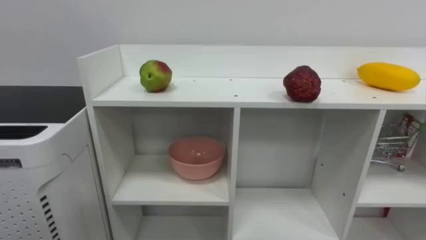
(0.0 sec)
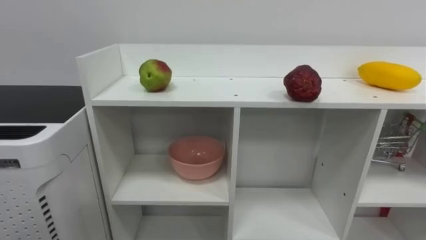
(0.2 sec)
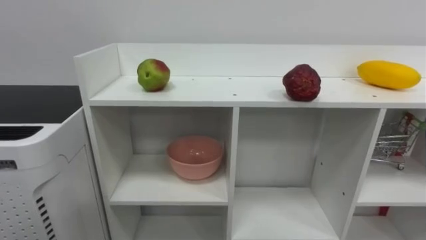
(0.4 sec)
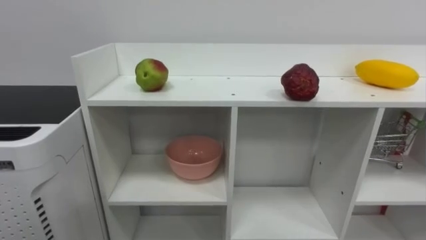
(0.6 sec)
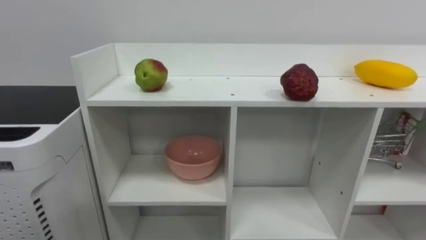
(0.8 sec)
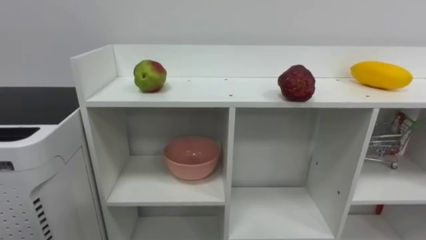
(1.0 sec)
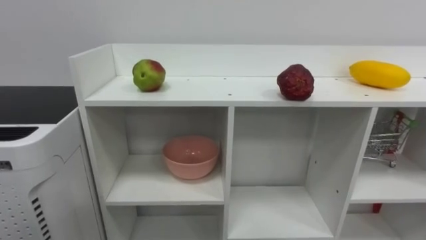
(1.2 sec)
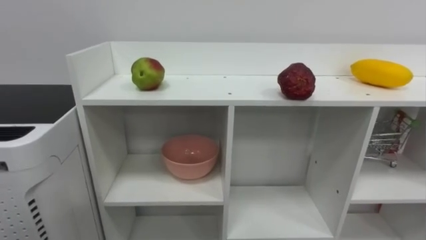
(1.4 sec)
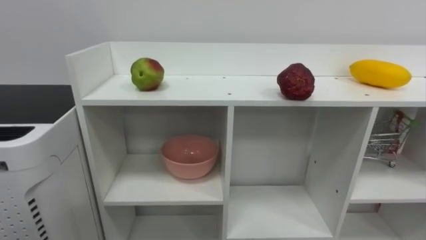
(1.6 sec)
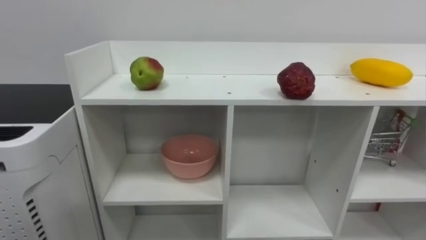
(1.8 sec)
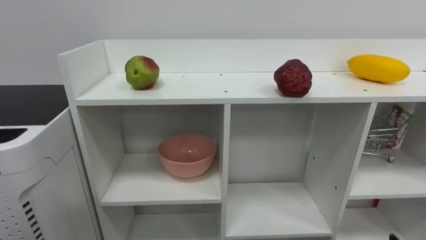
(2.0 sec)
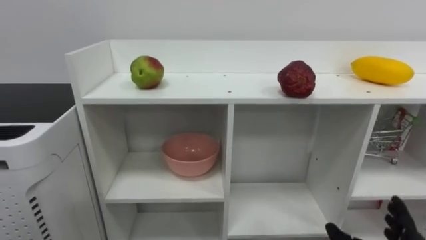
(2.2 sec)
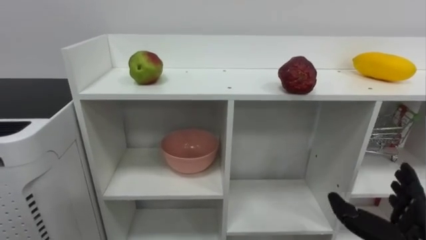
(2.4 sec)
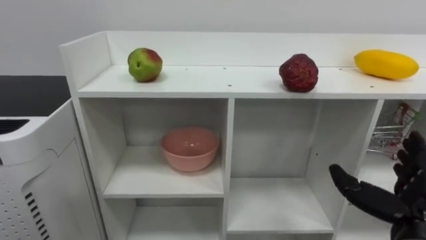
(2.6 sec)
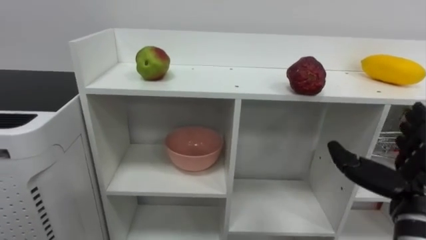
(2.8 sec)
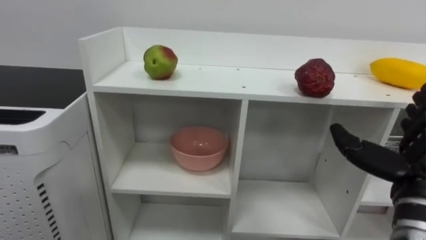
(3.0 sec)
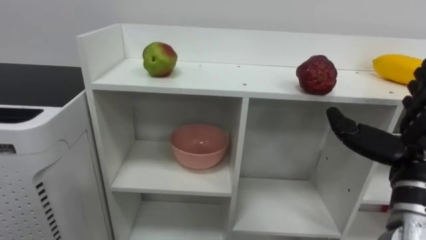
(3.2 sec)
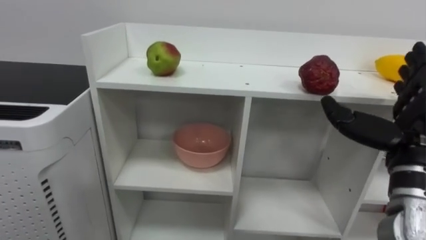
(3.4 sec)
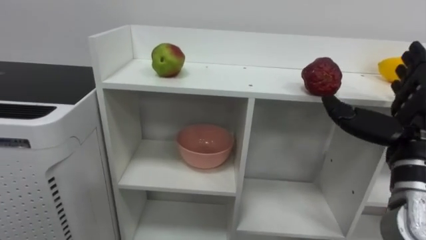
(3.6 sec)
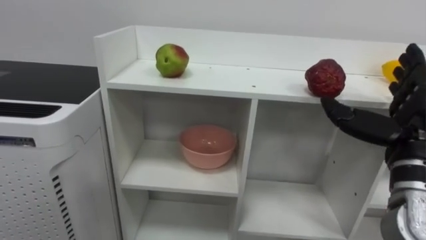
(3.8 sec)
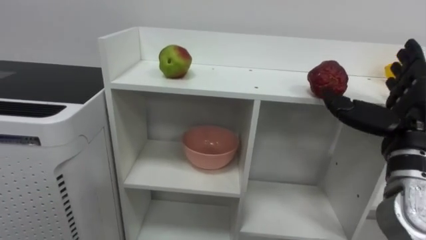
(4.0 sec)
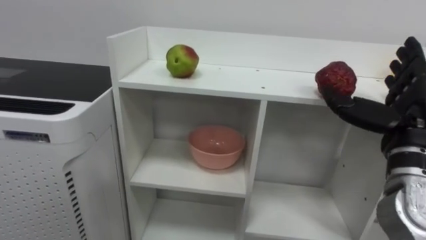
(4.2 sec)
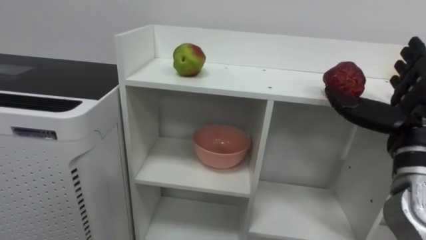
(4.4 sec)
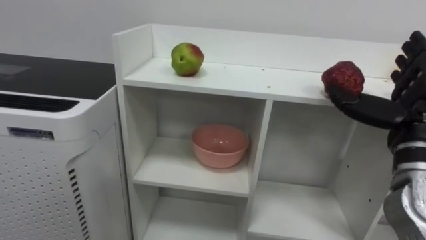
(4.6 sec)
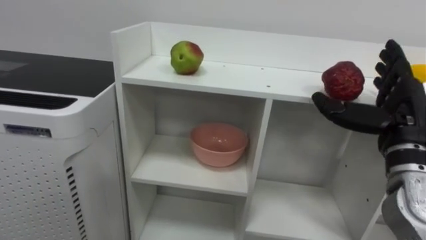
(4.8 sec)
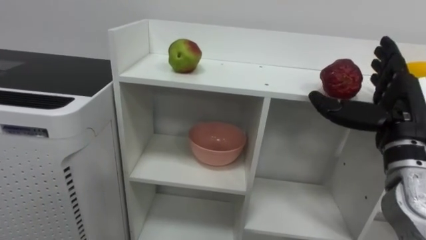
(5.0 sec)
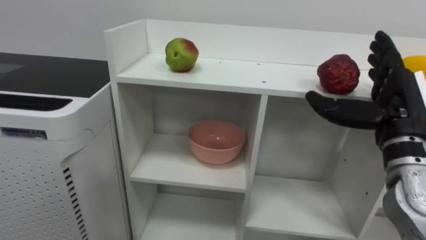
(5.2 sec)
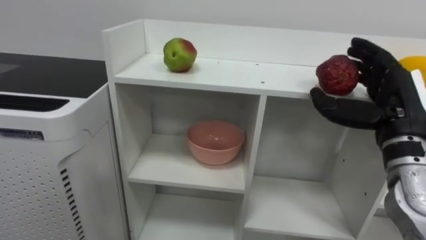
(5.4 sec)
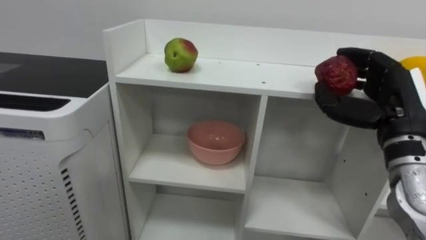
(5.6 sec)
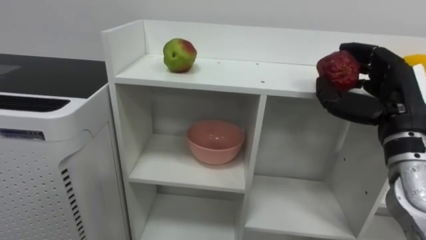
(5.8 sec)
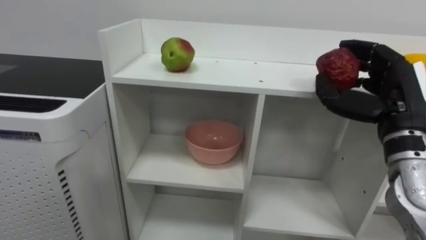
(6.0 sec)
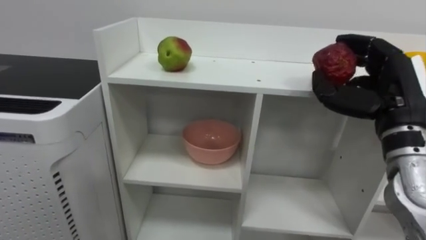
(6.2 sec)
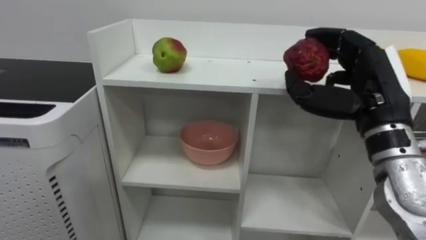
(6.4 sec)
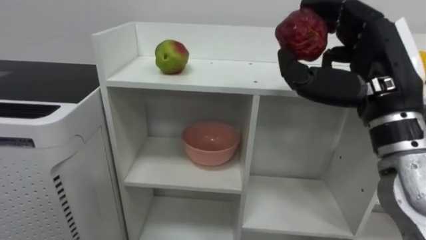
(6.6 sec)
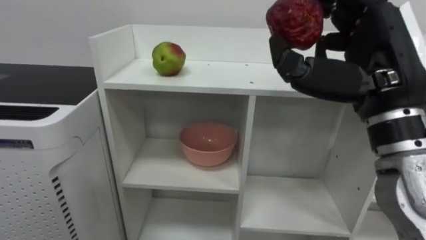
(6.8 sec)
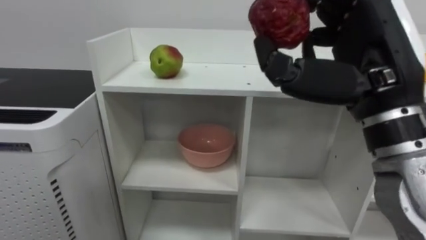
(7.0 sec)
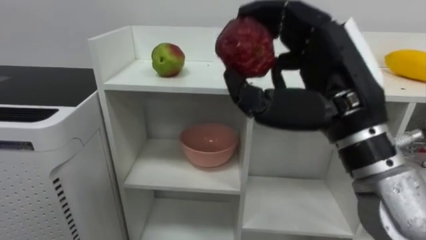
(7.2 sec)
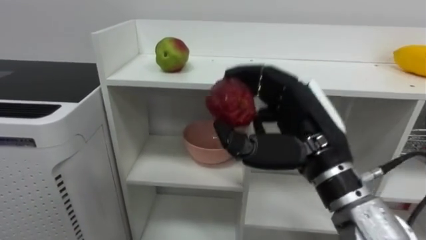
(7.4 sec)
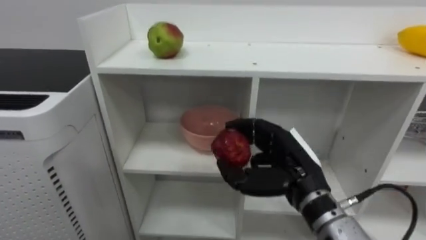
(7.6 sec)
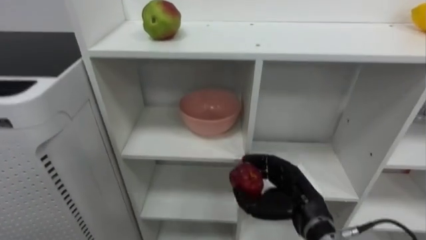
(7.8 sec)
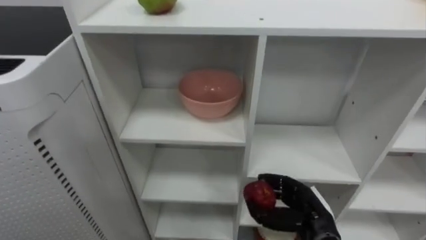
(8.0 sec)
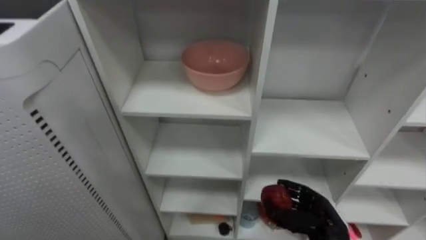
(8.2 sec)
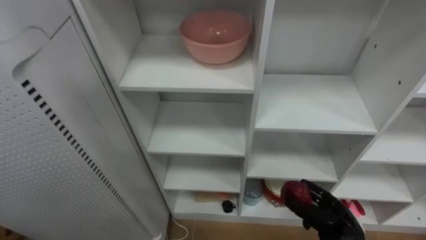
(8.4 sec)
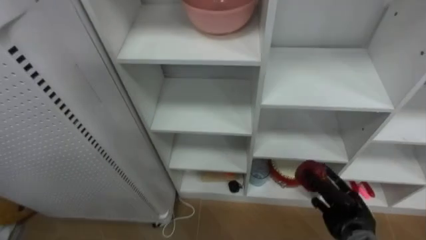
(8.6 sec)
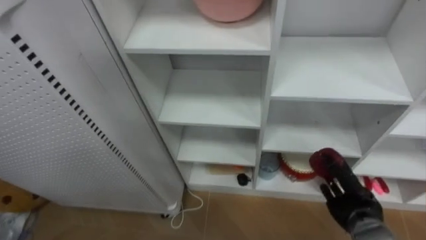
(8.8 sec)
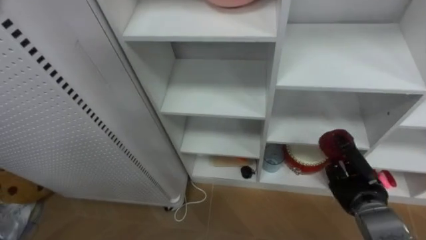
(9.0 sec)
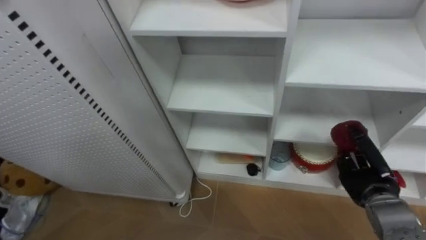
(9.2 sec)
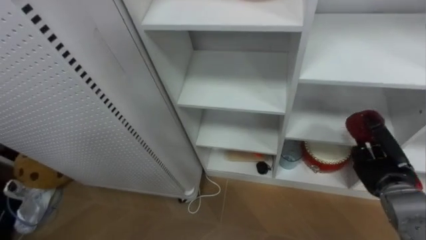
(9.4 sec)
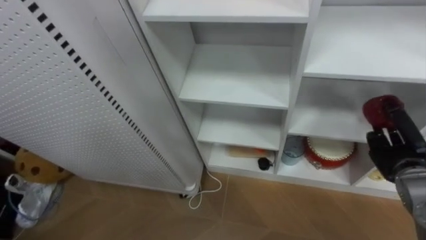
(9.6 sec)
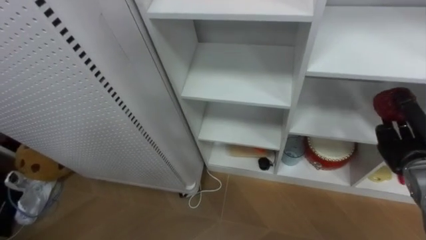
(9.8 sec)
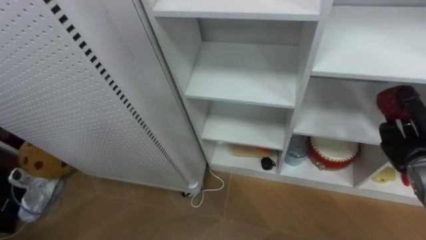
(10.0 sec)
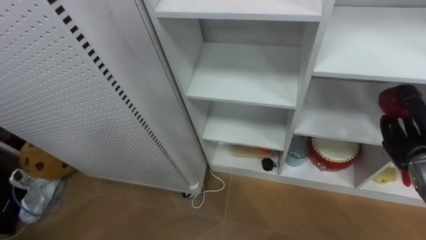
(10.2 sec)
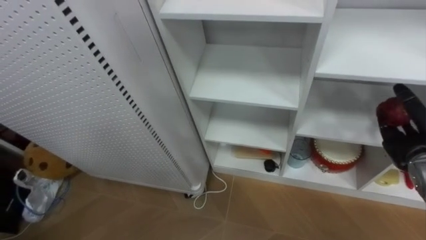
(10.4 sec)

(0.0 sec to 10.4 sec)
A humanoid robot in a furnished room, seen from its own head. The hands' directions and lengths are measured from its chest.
Task of the whole recording: Put the apple in the cell in the second column from the left and the second row from the top.
3.0 sec - 4.4 sec: The right hand goes roughly 5 cm upward.
4.4 sec - 6.0 sec: The right hand closes.
6.0 sec - 7.4 sec: The right hand travels to the left and backward by about 15 cm.
7.4 sec - 9.0 sec: The right hand heads downward, to the right and forward, covering about 25 cm.
9.0 sec - 10.4 sec: The right hand travels upward and to the right by some 15 cm, and opens its fingers.

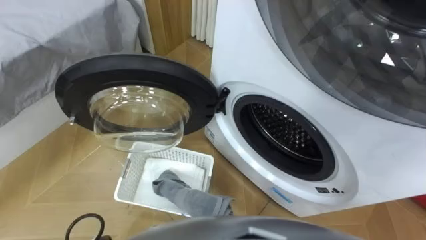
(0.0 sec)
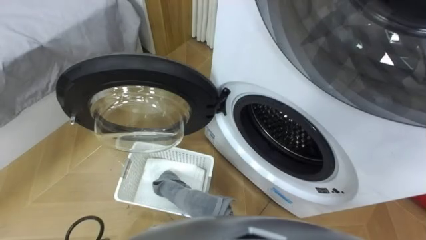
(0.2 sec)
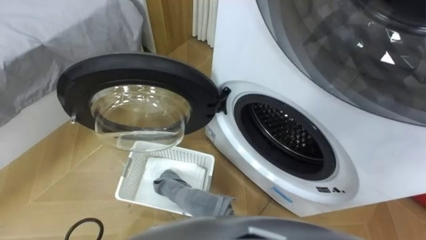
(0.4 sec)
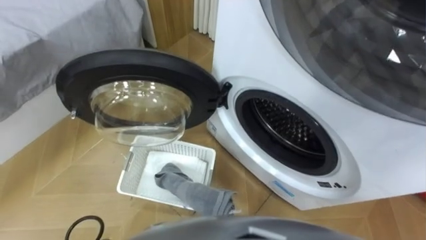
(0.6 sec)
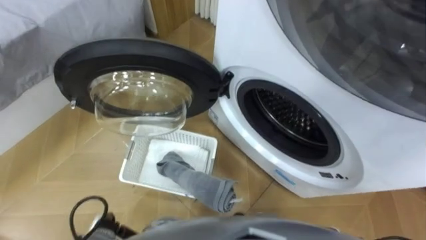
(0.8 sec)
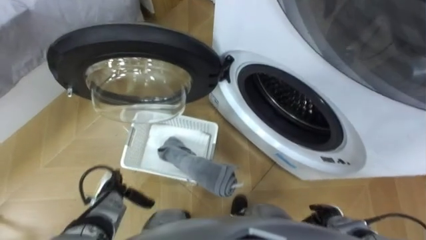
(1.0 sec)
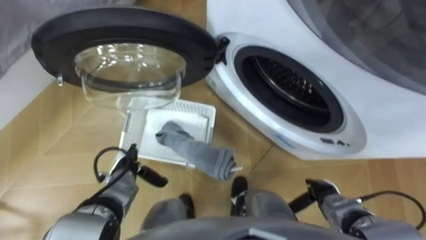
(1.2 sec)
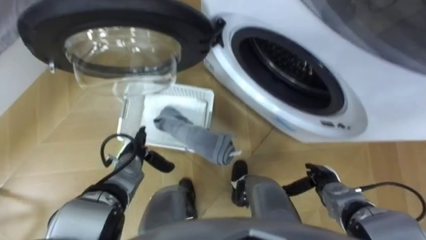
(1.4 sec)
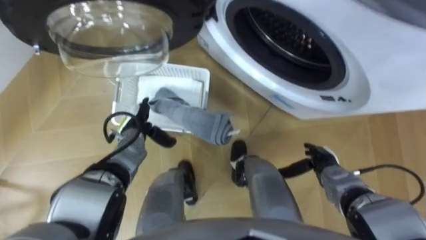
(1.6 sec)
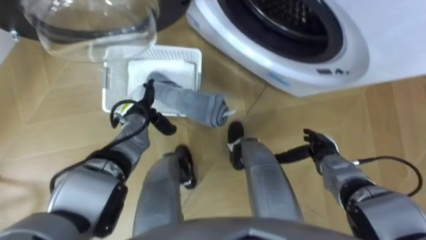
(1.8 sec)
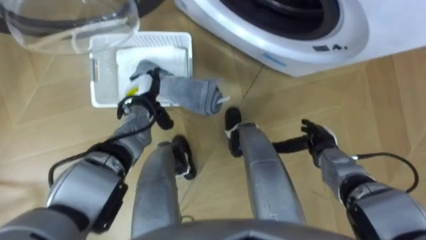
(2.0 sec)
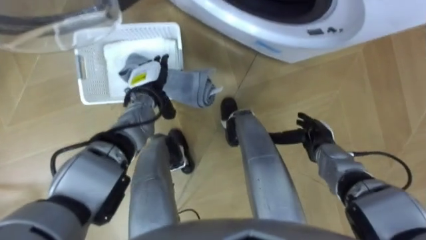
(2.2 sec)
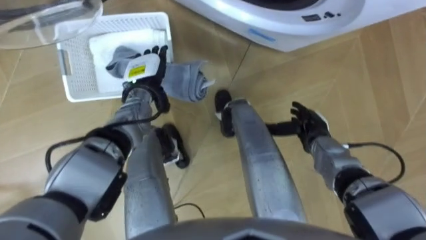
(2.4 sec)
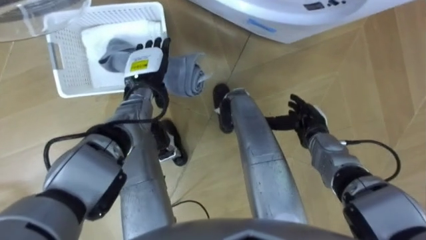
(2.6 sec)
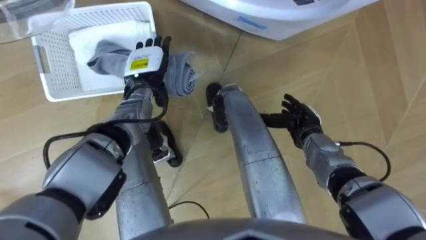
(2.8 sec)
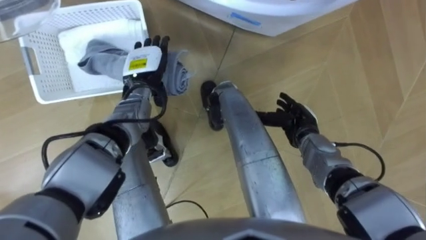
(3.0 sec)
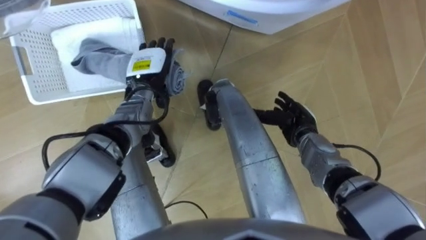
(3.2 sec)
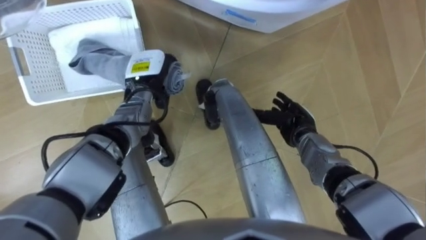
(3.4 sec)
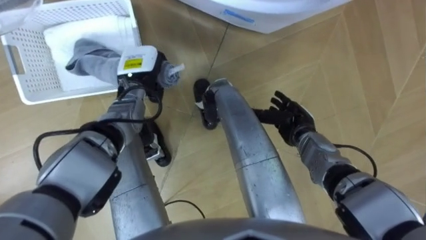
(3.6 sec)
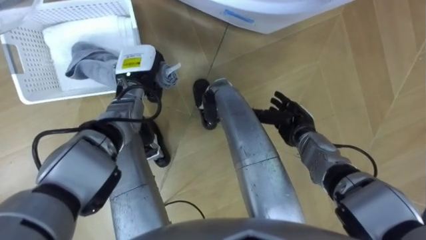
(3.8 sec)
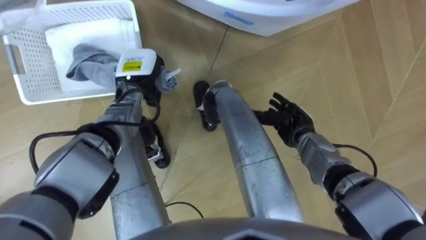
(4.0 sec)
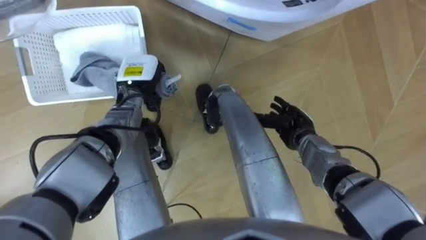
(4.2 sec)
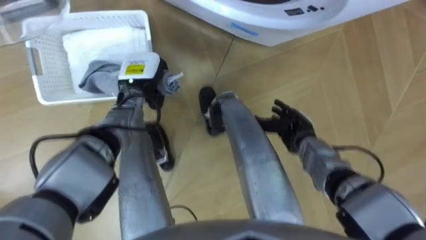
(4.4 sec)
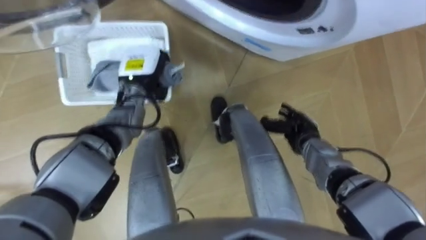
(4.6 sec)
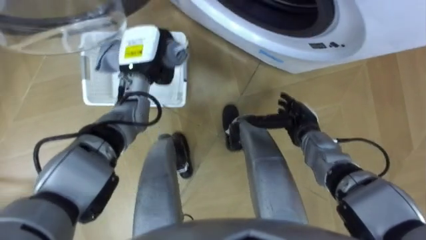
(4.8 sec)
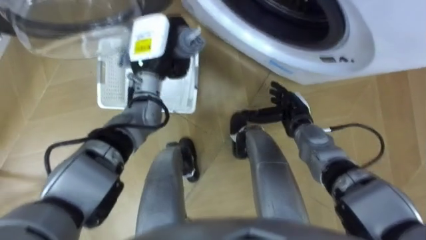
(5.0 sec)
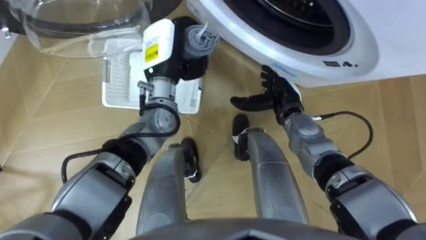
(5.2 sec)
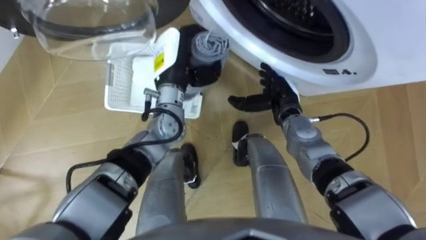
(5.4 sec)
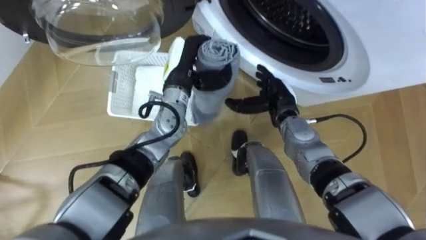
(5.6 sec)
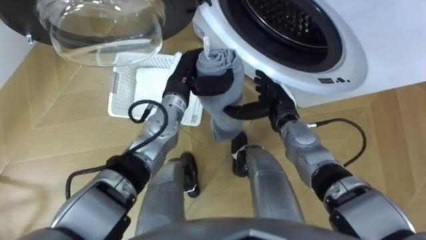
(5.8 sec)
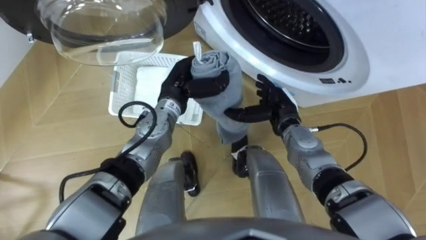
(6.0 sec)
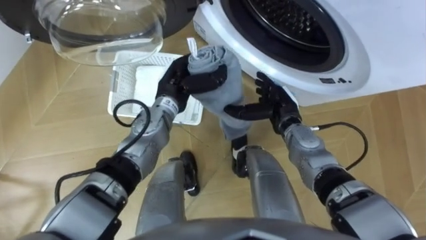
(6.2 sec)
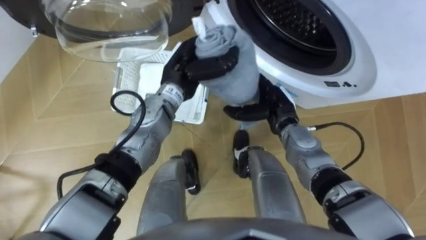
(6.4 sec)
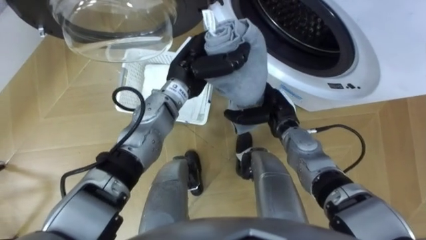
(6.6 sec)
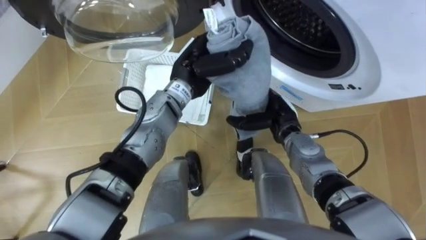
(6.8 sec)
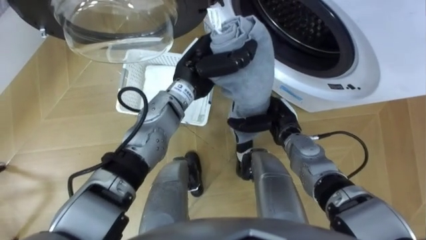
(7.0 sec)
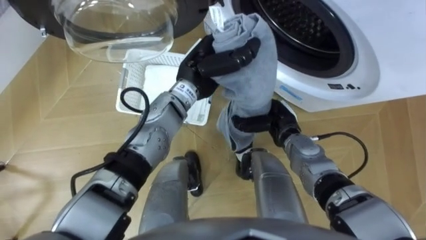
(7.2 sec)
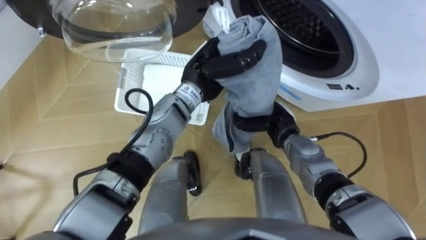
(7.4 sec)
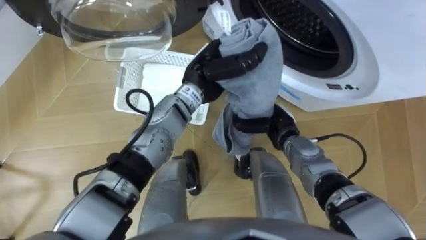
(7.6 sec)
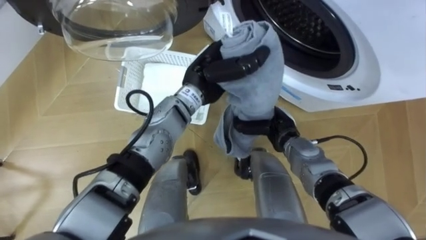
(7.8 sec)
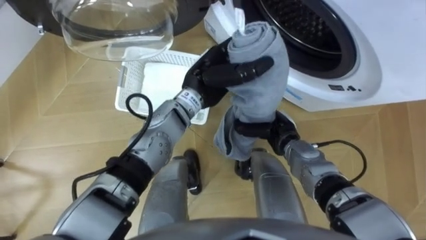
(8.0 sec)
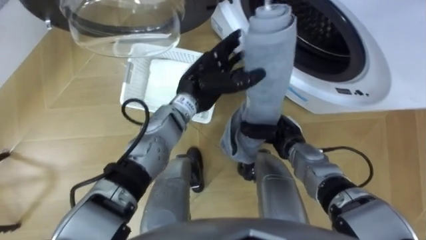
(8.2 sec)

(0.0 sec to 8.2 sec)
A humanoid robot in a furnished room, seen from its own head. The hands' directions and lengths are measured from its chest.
Task of the whole recording: Take the towel from the basket and put it into the washing machine.
1.6 sec - 3.2 sec: The left hand goes roughly 15 cm upward and forward, while the right hand travels forward, to the left and upward by some 10 cm.
3.2 sec - 5.0 sec: The left hand moves upward, about 5 cm, and closes.
5.0 sec - 6.6 sec: The left hand goes approximately 10 cm to the right.
6.6 sec - 8.2 sec: The right hand ends up approximately 5 cm from where it was, and closes up, while the left hand opens its fingers.
